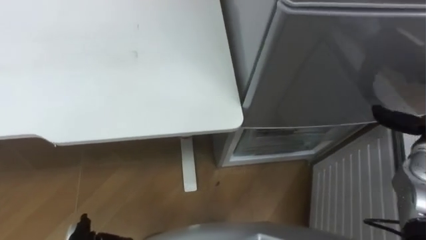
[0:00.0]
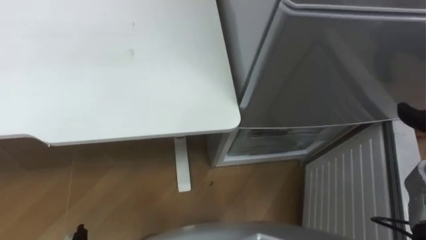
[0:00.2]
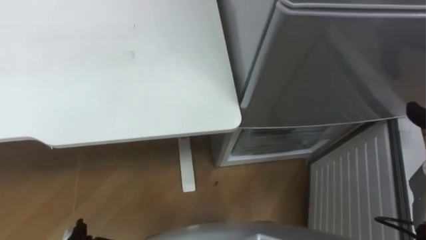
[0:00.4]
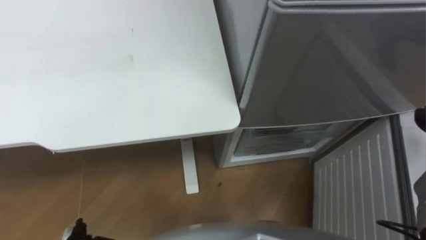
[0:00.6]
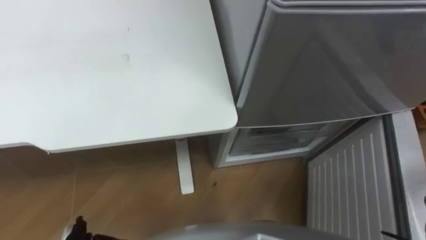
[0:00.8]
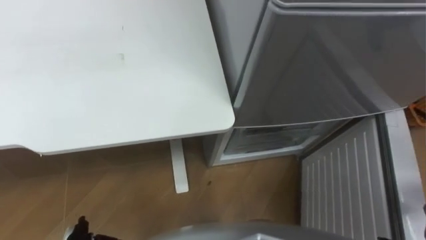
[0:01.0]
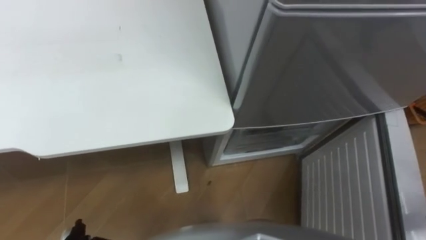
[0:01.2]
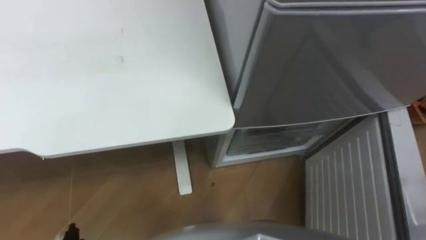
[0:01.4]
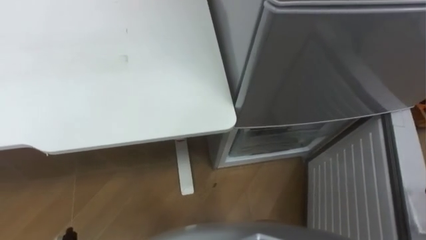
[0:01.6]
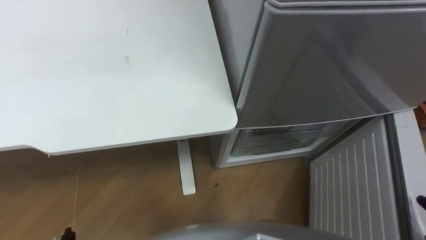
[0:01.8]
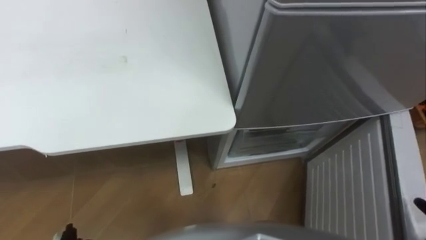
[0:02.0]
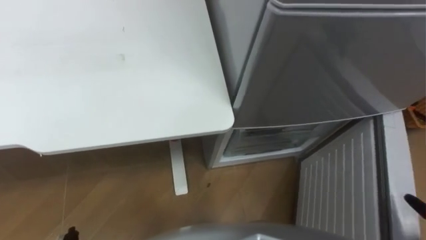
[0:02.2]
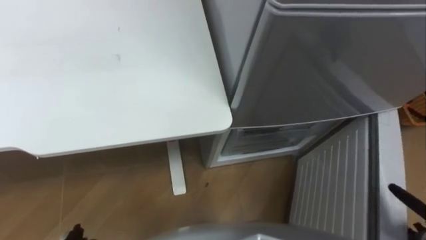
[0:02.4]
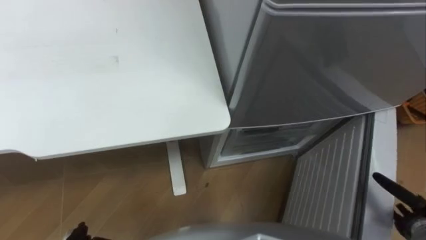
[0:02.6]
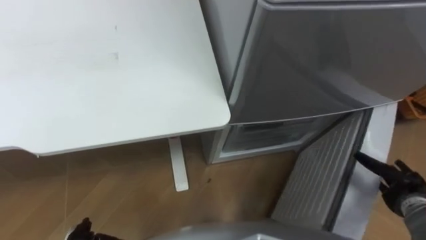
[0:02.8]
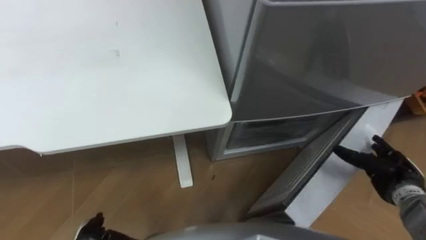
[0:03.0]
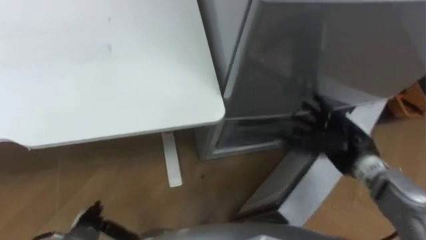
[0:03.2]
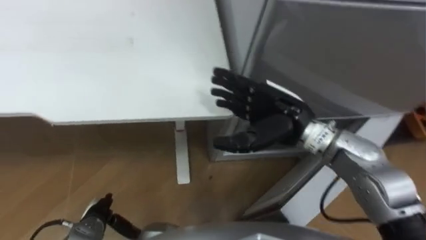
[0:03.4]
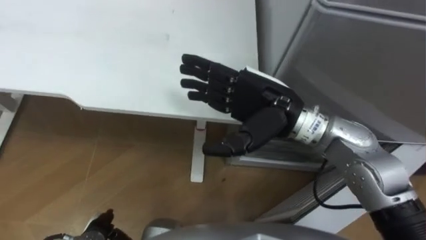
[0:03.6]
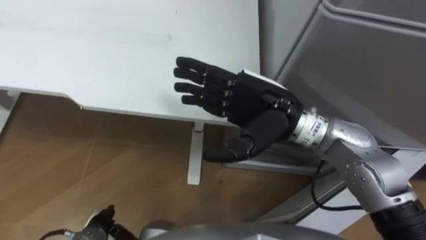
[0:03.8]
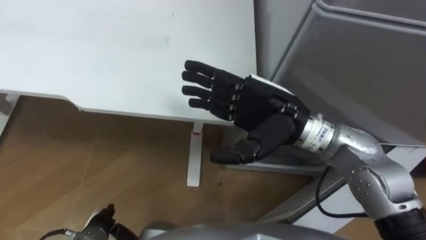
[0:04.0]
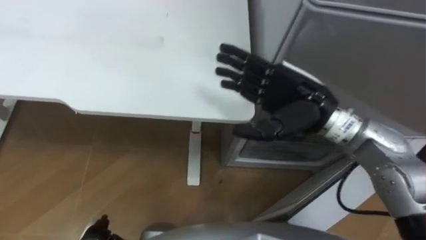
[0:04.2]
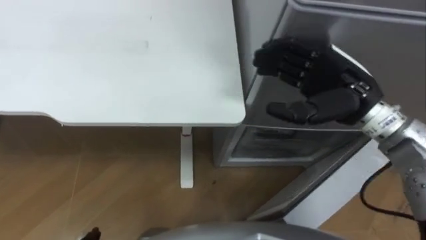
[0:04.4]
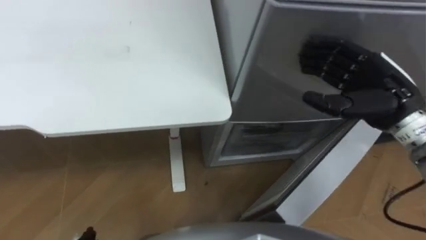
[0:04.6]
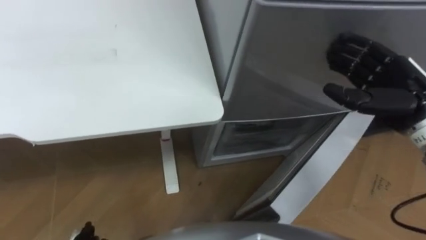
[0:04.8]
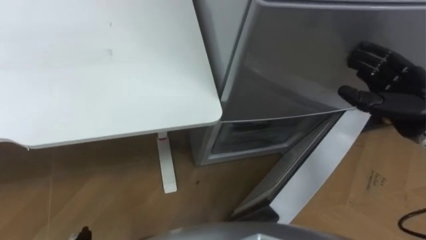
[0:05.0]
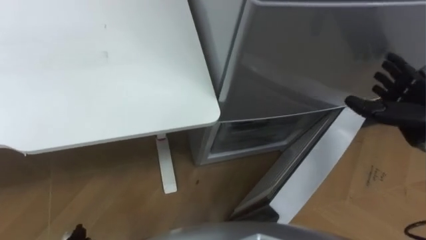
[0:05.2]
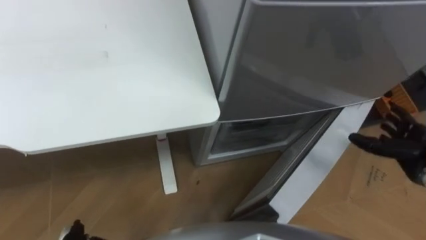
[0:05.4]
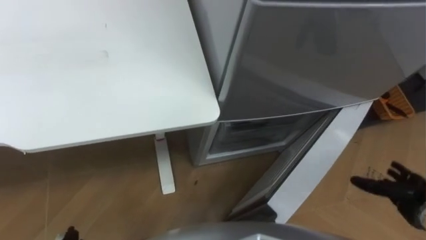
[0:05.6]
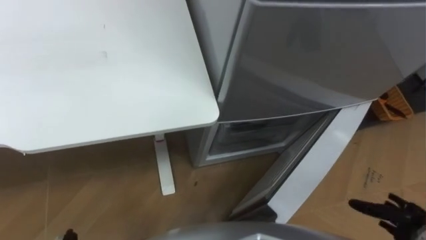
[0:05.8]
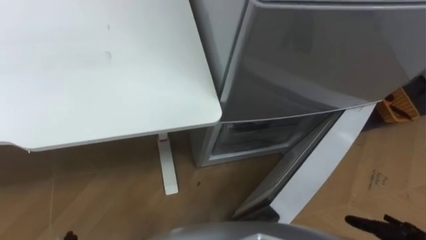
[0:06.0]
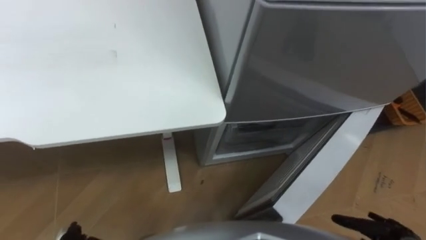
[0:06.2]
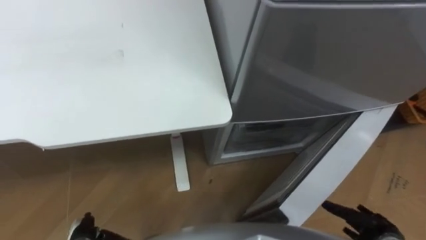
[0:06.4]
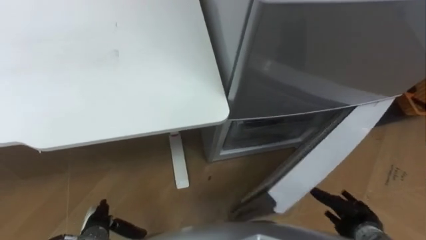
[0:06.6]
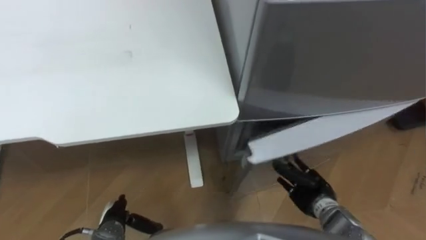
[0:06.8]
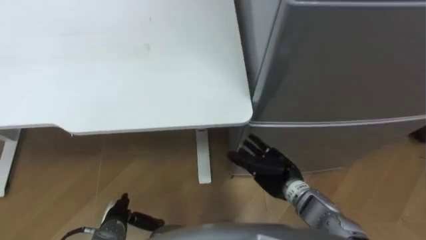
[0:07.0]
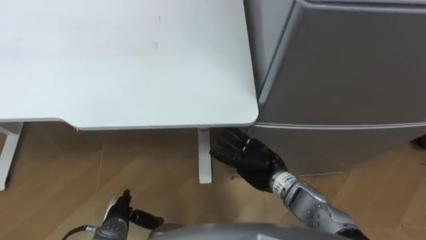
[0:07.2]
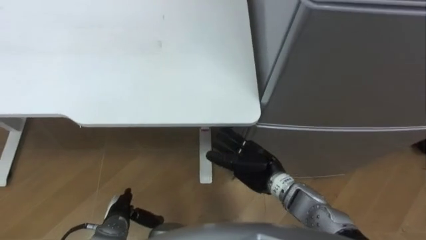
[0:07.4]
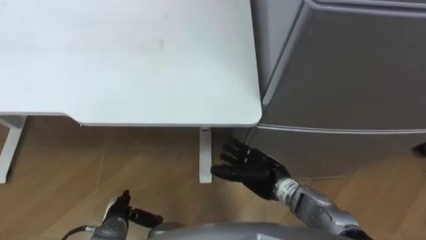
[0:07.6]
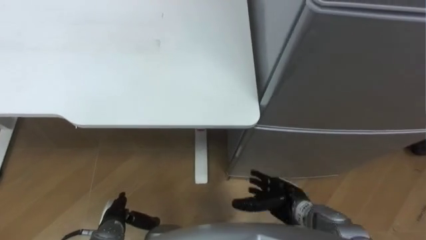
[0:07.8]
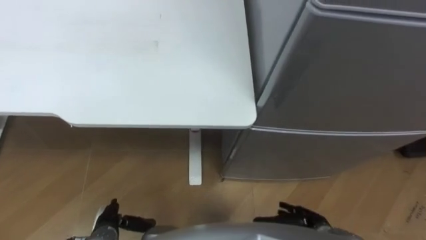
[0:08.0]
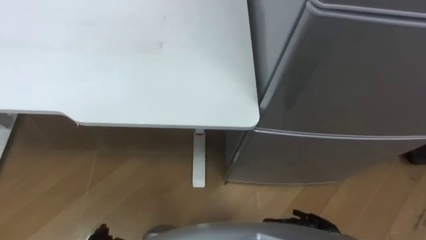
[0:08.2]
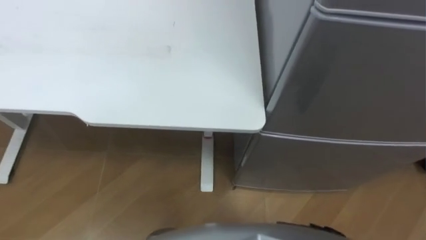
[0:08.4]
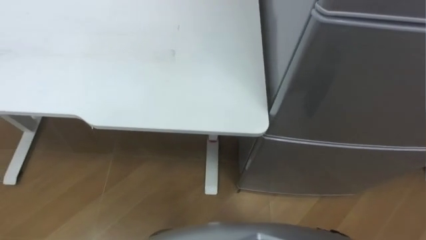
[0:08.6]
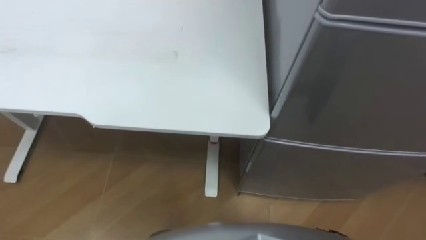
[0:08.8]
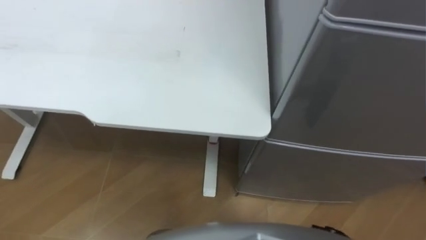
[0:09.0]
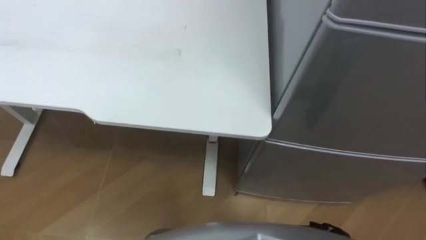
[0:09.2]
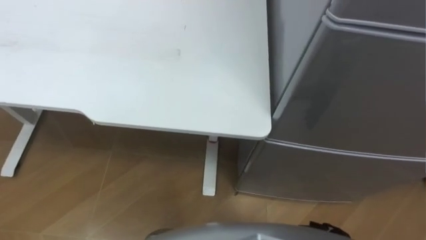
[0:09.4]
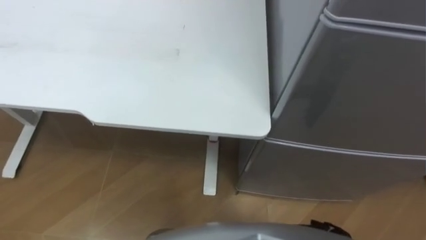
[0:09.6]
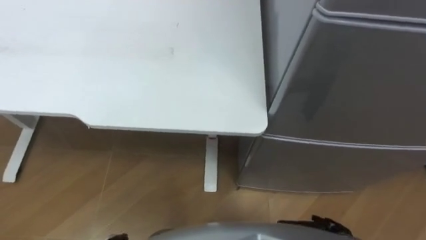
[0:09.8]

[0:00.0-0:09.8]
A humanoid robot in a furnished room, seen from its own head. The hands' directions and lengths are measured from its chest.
Task of the whole recording: Place the drink on the table on the bottom shelf of the refrigerator, then close the drawer and the refrigerator door.
0:02.8 to 0:04.2: The right hand shifts about 35 cm to the left, upward and forward.
0:04.2 to 0:05.6: The right hand moves to the right, downward and backward, some 35 cm.

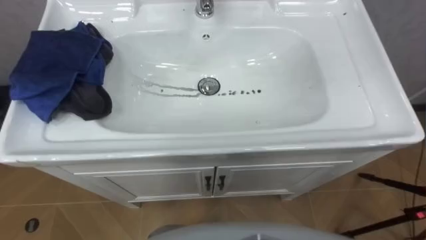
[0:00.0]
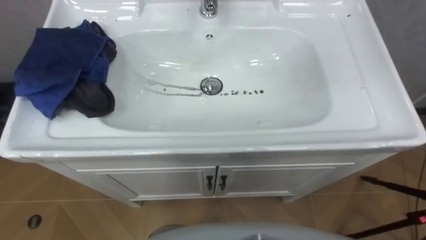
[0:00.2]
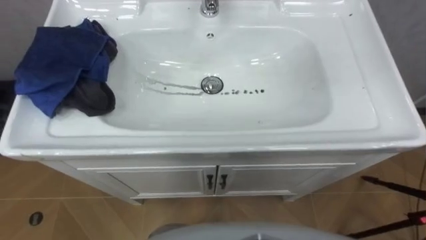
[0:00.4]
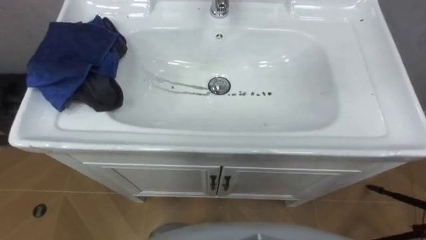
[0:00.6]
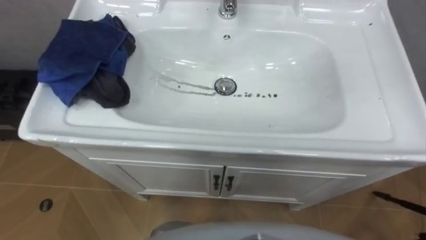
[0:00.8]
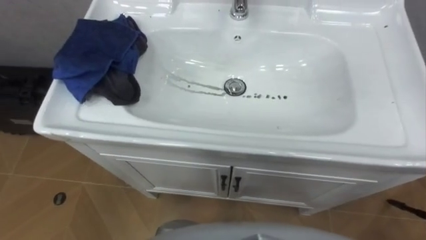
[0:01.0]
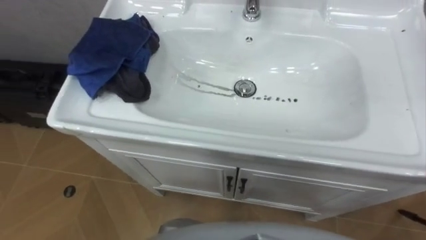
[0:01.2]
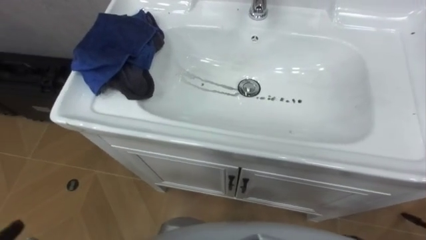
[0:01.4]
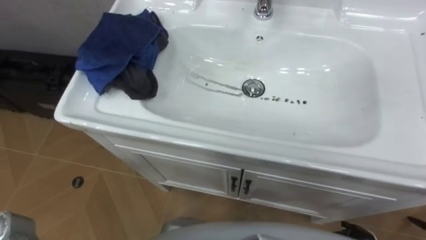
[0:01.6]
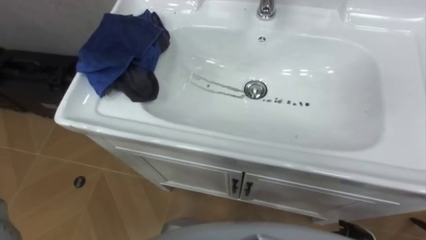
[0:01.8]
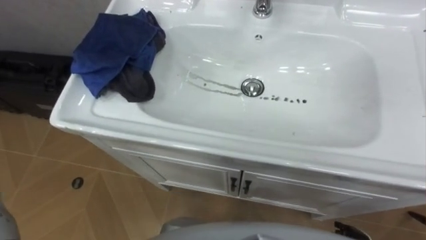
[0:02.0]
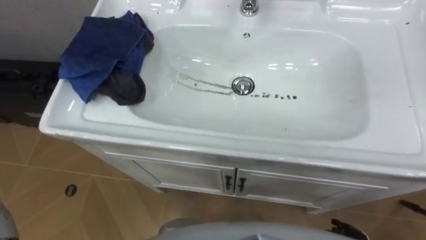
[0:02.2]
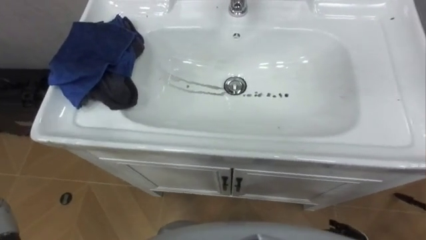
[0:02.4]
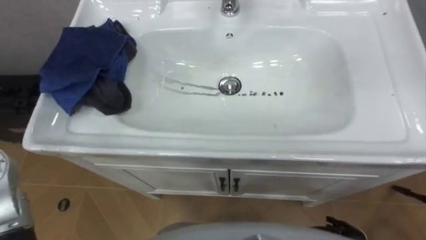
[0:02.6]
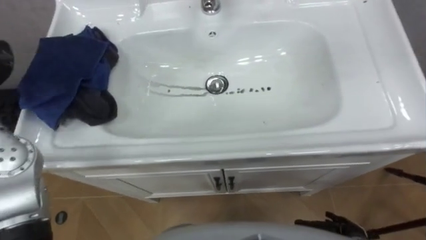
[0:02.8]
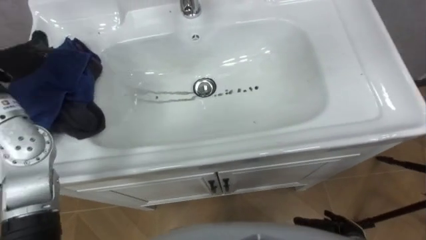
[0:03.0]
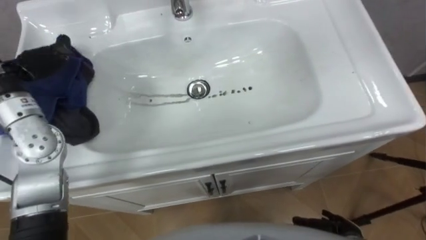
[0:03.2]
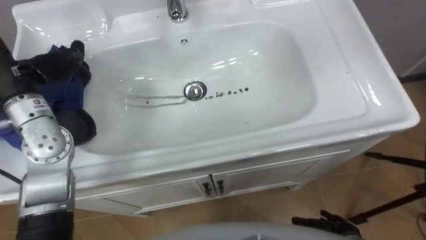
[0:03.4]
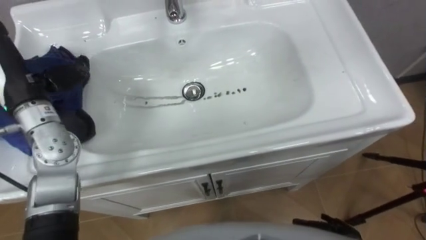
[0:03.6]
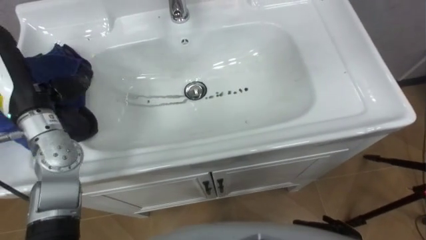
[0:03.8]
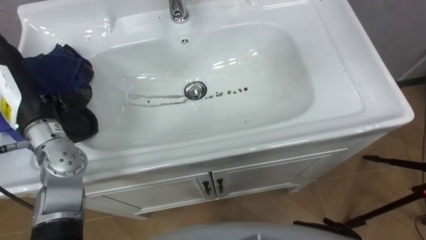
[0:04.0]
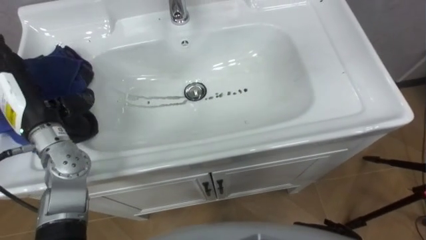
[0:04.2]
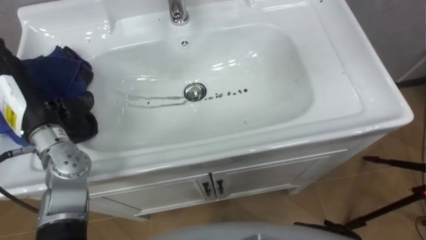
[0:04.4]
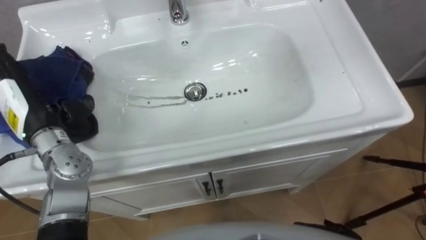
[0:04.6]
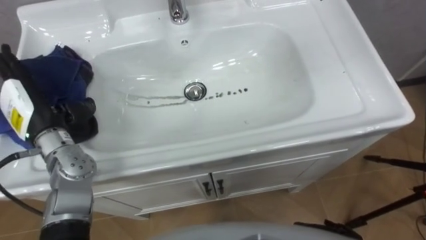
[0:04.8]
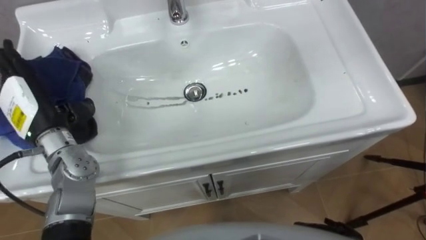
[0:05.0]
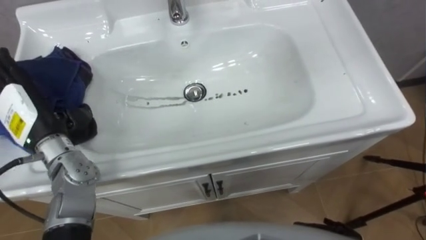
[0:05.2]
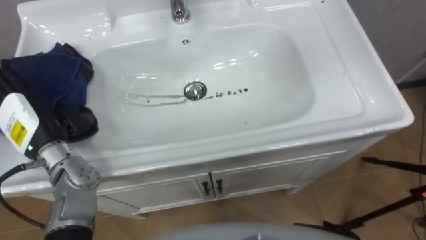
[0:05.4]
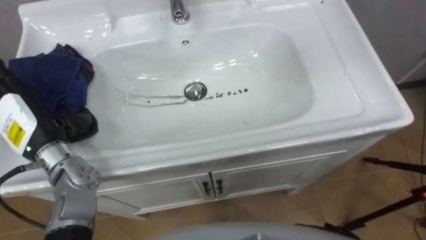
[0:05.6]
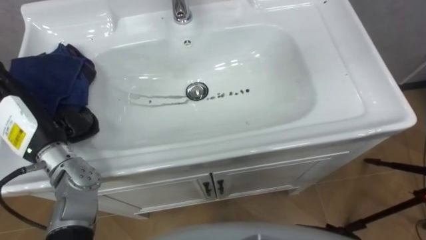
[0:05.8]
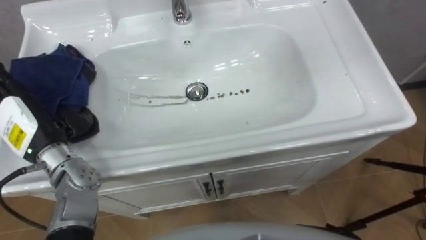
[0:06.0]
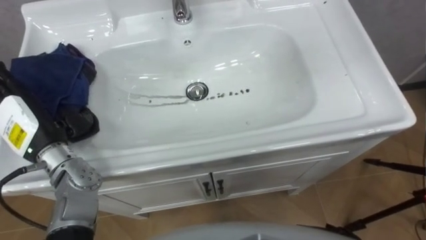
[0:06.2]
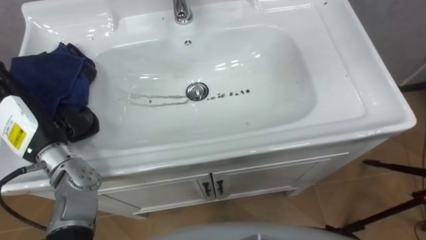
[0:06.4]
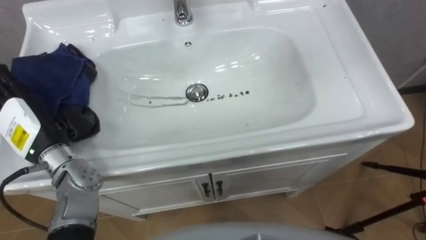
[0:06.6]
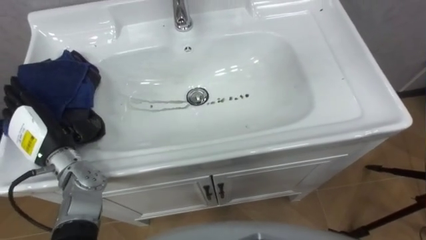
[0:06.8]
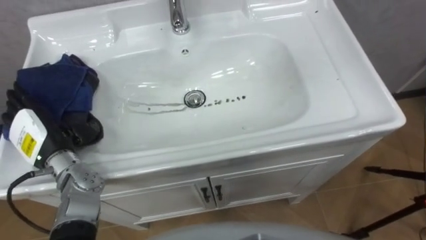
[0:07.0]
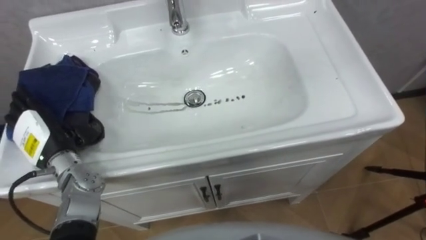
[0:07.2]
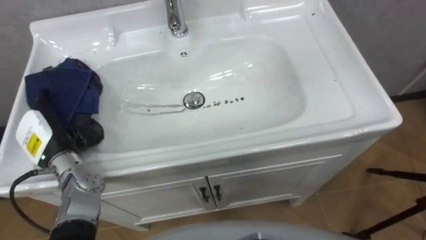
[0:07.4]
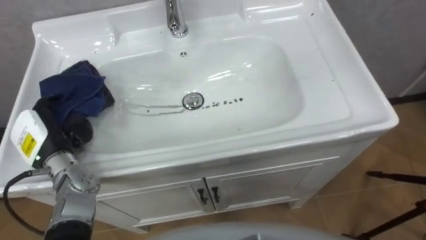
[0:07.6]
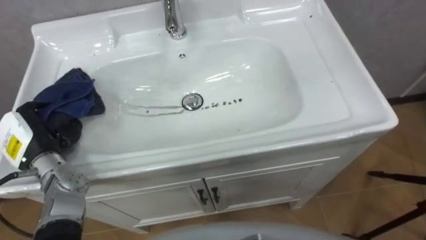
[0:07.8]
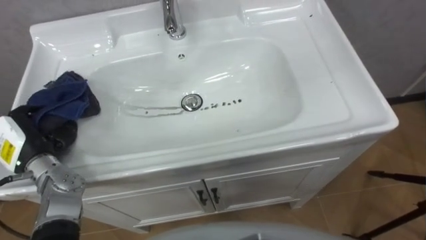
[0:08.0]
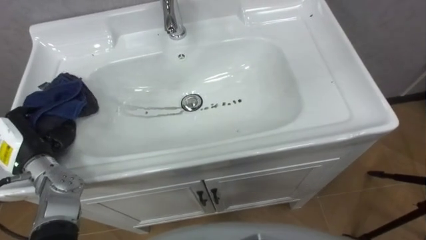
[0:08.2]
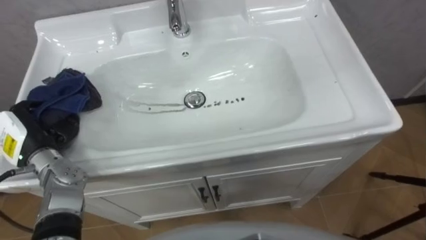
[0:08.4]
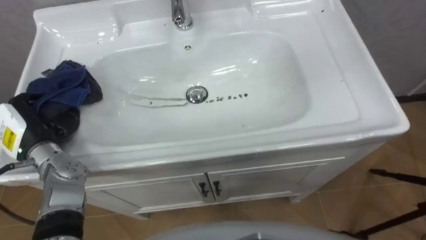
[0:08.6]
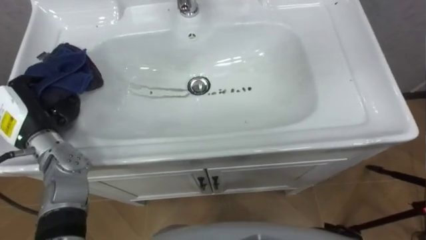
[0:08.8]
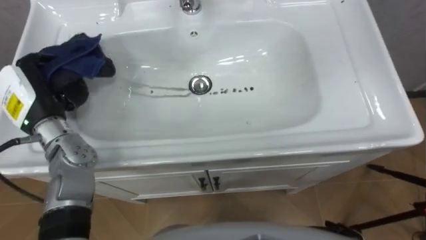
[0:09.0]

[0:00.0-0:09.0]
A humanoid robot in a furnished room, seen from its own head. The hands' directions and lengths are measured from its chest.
Task of the whole recording: Use the cloth on the right to wipe away the black stain in the sink.
0:06.0 to 0:07.6: The left hand travels downward by some 5 cm, and closes up.
0:07.6 to 0:09.0: The left hand travels upward by approximately 10 cm.
